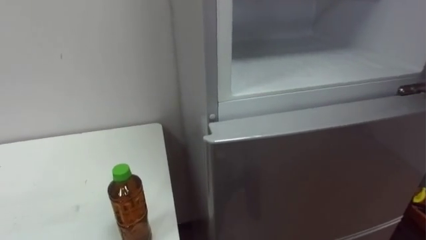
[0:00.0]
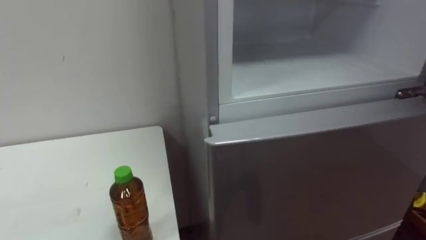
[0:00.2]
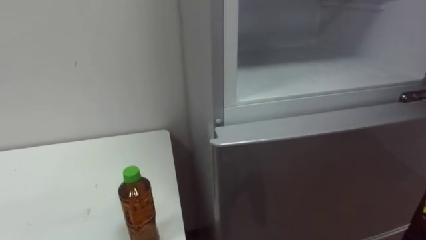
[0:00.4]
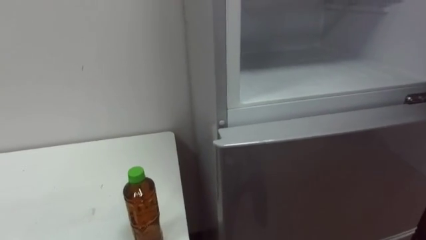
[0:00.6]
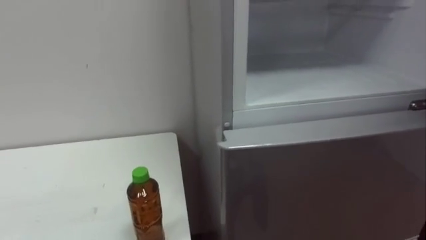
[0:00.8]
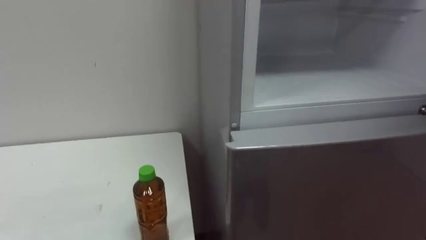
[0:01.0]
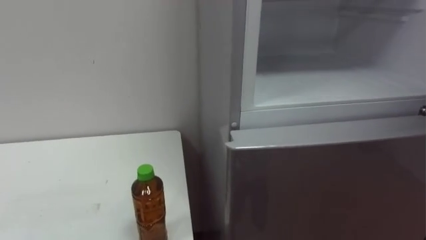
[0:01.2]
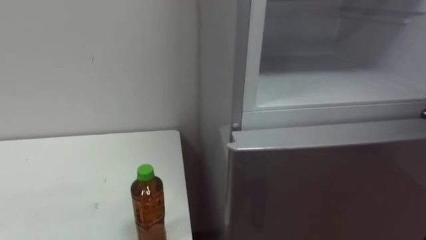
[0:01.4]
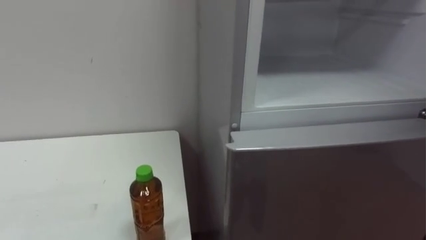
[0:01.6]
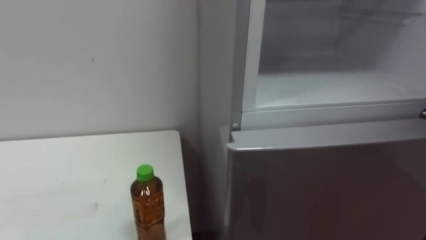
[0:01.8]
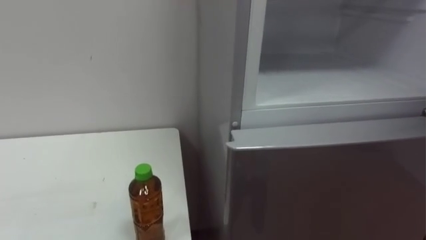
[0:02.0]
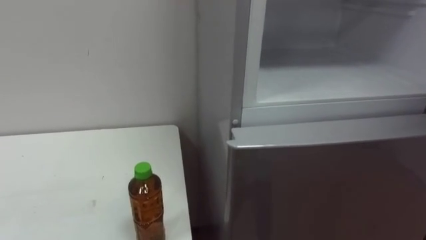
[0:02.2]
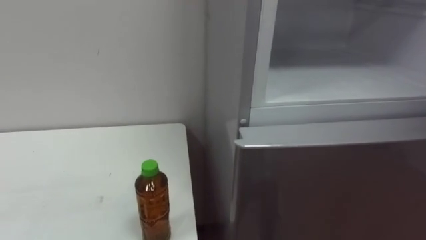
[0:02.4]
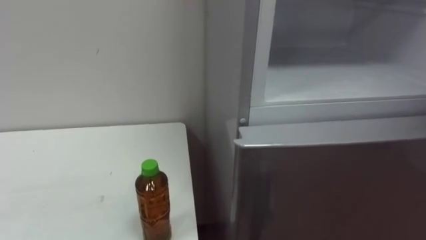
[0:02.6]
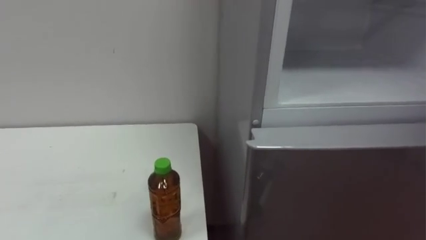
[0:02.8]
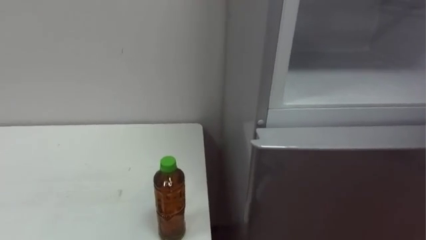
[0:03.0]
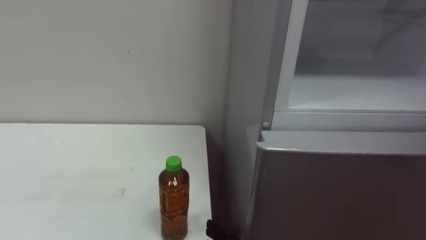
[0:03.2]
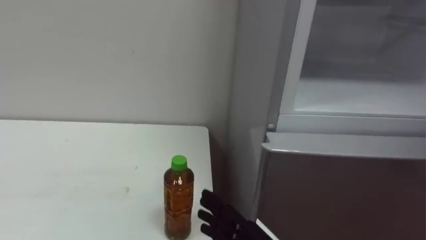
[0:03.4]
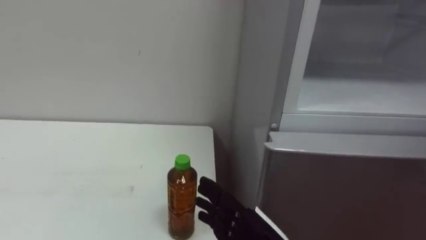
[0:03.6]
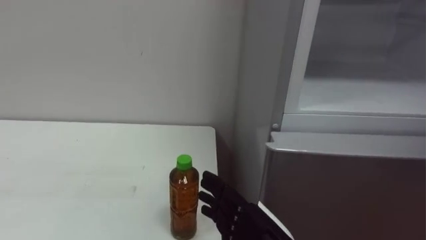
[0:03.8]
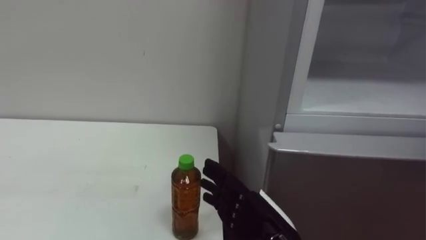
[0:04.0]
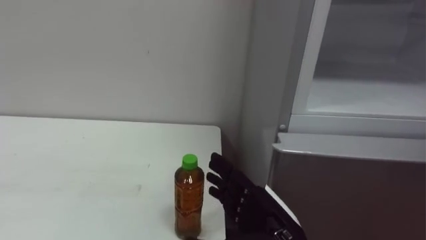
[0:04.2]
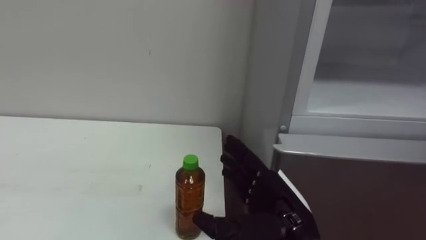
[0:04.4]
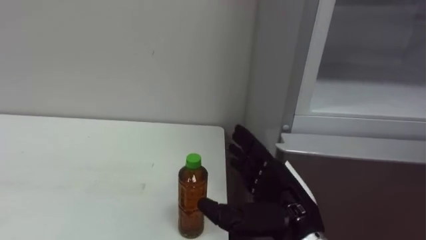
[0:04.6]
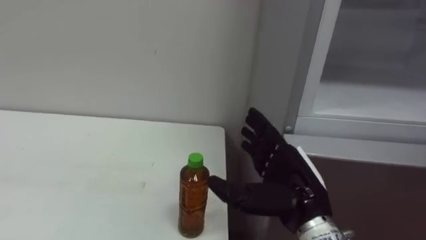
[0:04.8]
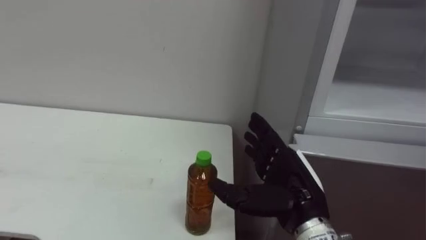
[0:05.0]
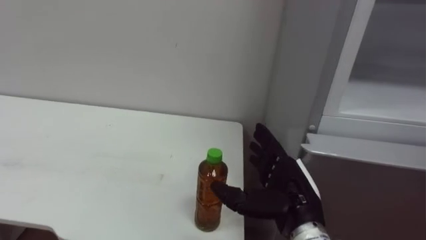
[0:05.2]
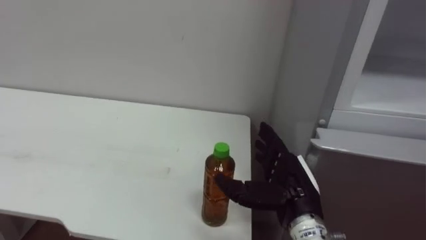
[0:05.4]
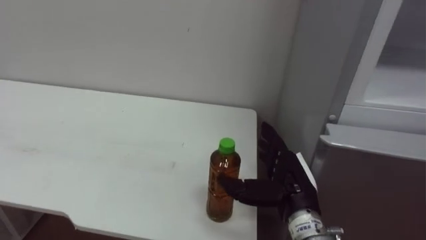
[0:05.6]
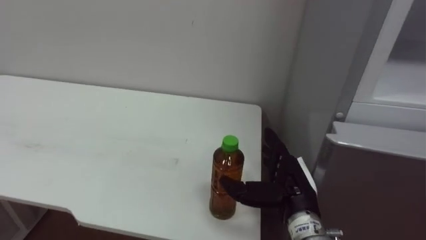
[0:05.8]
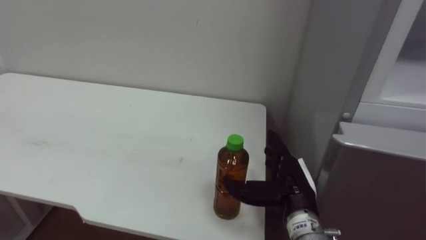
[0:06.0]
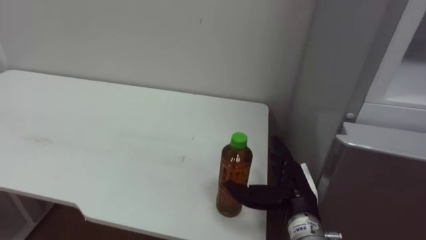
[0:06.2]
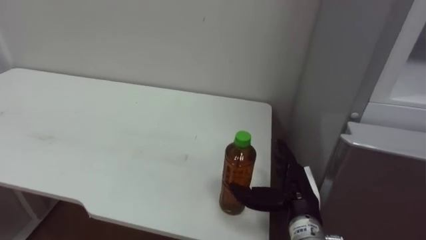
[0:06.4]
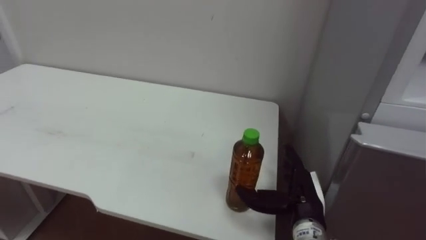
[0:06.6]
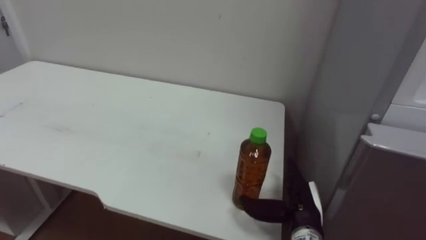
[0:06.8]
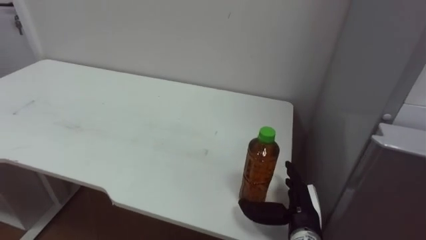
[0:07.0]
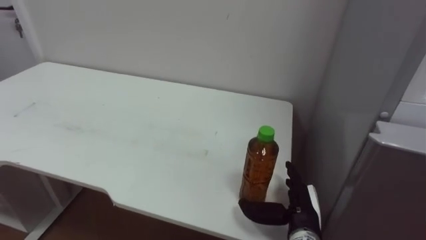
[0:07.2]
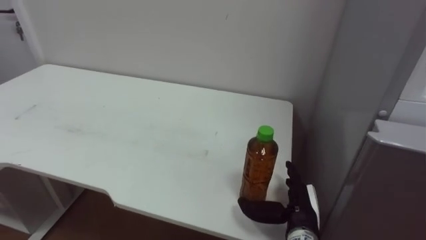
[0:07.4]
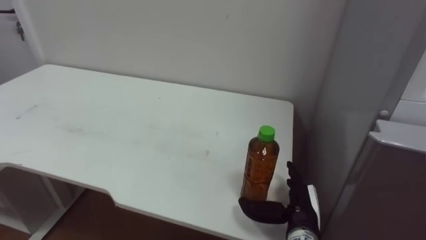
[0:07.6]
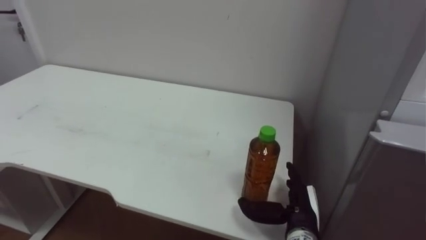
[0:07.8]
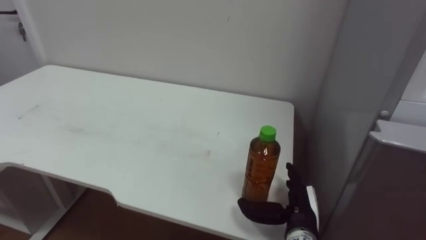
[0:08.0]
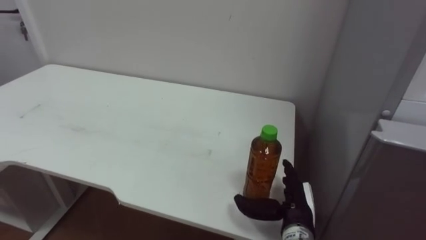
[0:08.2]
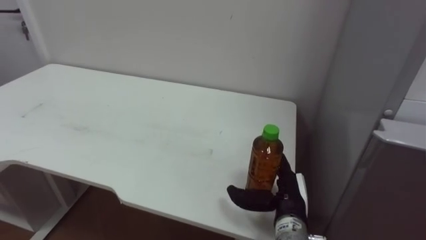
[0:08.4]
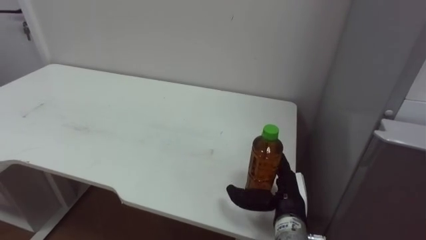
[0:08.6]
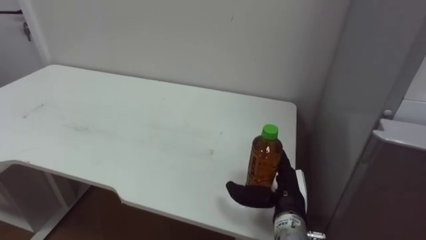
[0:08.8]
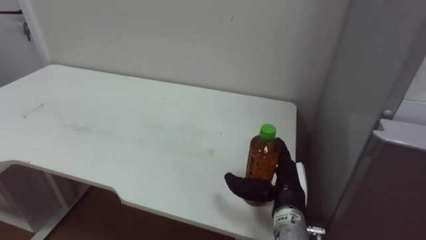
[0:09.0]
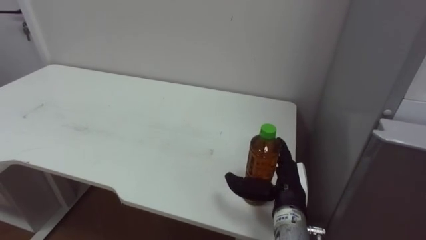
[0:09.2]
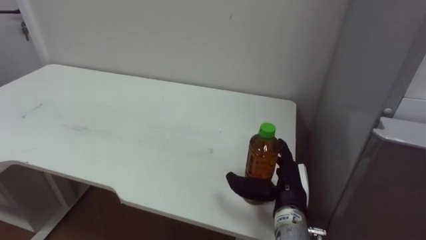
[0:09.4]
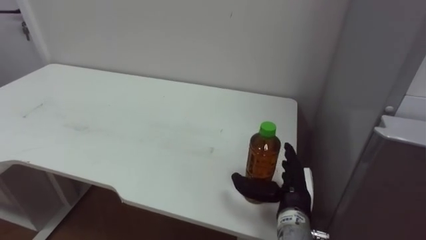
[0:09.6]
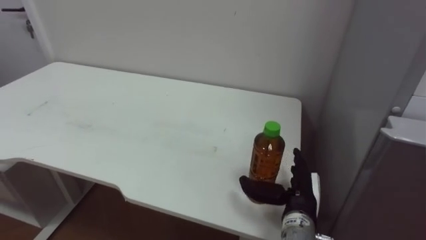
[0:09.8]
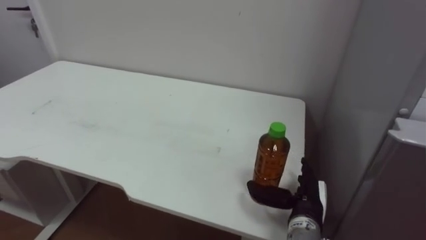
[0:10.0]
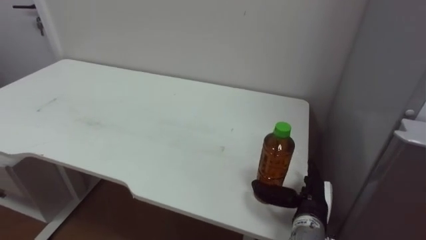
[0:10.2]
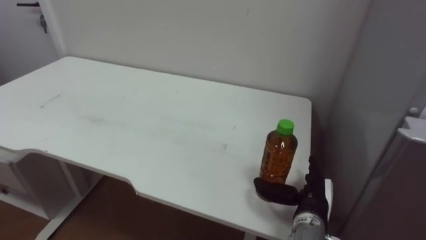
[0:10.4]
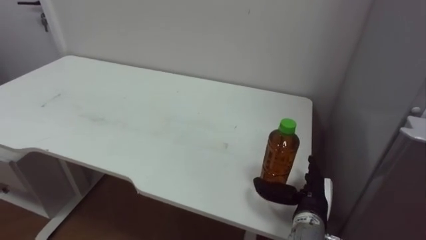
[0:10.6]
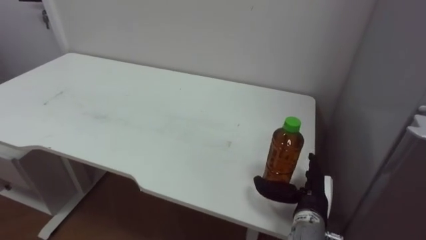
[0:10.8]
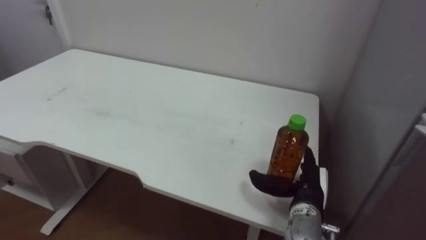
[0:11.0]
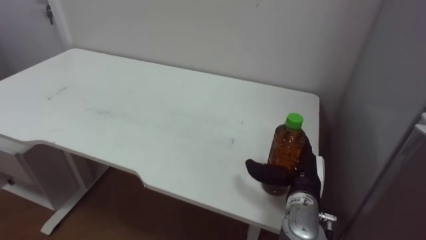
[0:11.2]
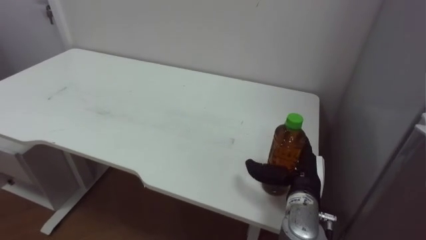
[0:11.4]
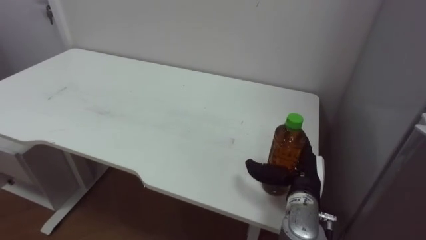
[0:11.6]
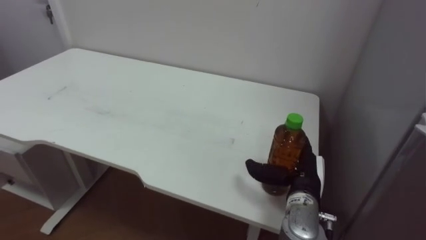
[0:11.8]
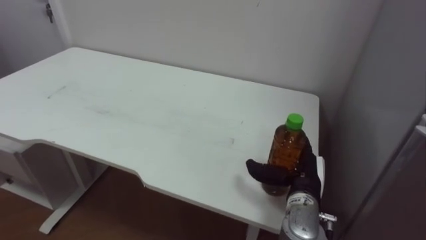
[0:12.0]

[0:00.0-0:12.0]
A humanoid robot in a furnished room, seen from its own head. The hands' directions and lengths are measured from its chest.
Task of the whole recording: Open the upper refrigerator door, put the drink from the table into the refrigerator, and then close the refrigerator door.
0:04.4 to 0:06.0: The right hand shifts roughly 5 cm forward.
0:06.0 to 0:07.6: The right hand travels downward by roughly 5 cm.
0:07.6 to 0:09.0: The right hand shifts by approximately 5 cm.
0:09.0 to 0:10.4: The right hand ends up some 5 cm from where it was.

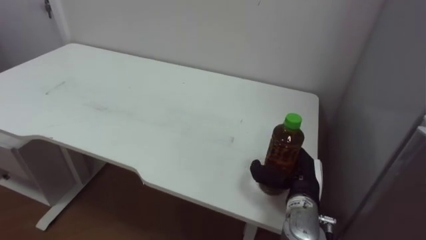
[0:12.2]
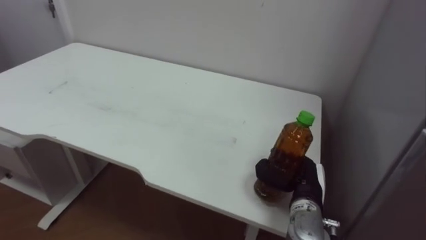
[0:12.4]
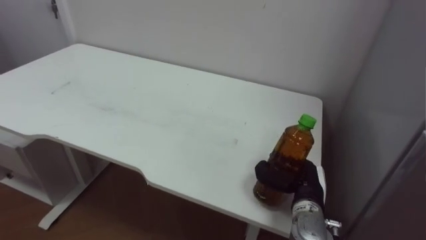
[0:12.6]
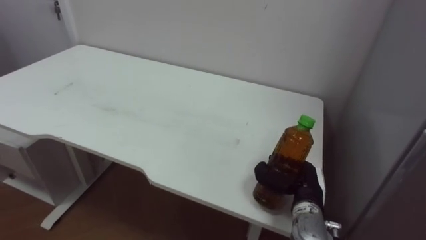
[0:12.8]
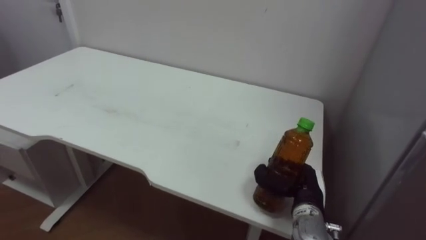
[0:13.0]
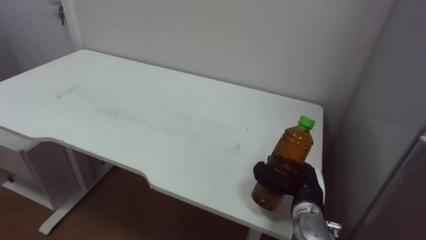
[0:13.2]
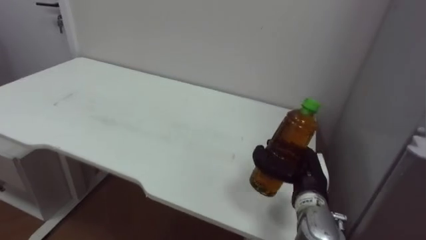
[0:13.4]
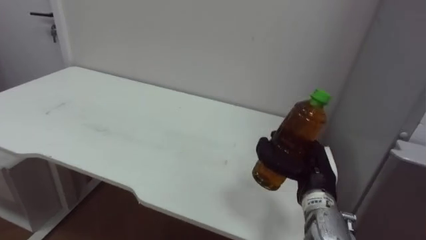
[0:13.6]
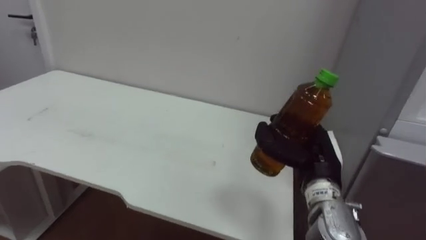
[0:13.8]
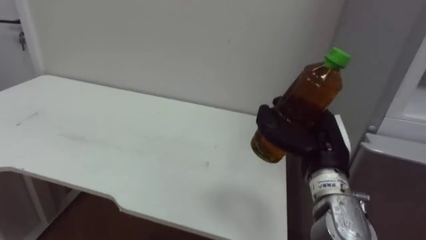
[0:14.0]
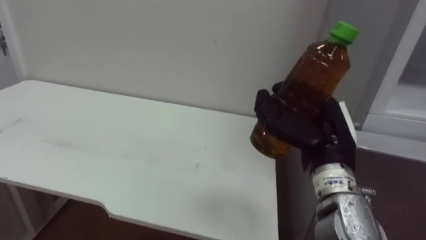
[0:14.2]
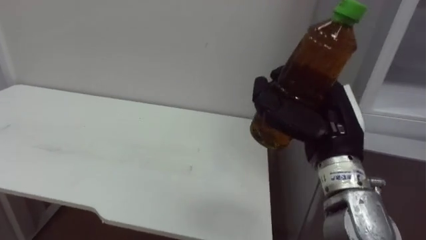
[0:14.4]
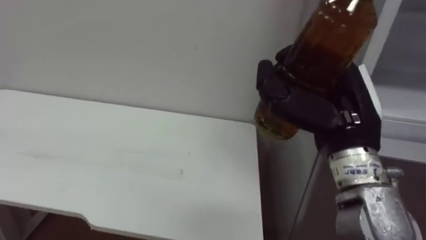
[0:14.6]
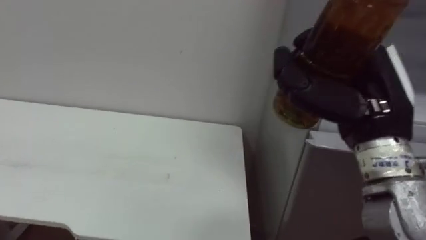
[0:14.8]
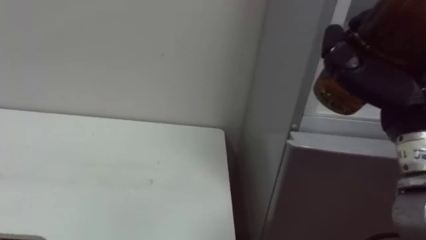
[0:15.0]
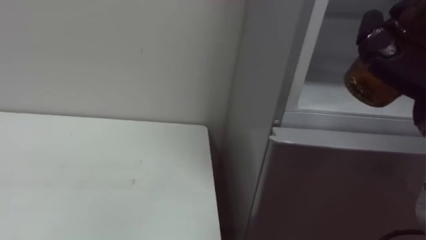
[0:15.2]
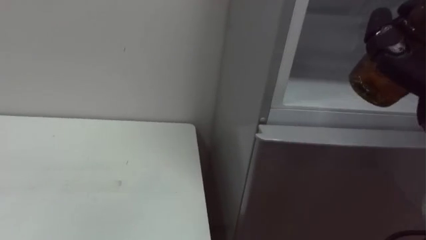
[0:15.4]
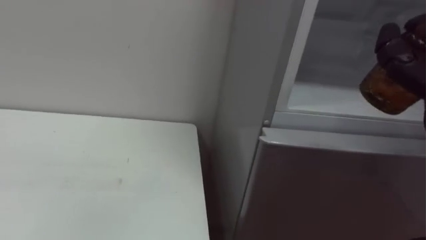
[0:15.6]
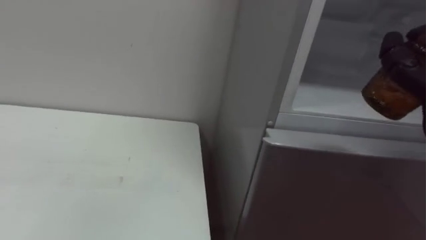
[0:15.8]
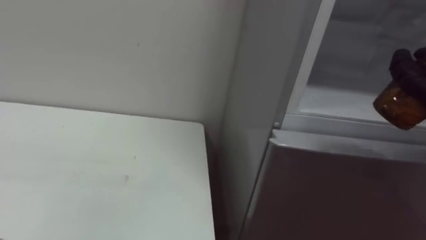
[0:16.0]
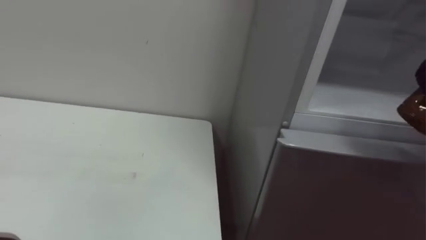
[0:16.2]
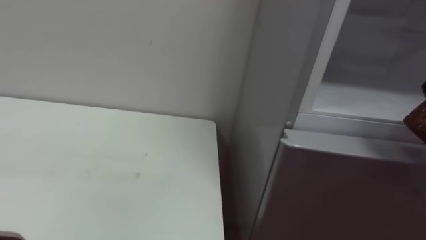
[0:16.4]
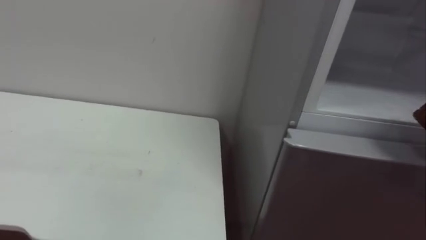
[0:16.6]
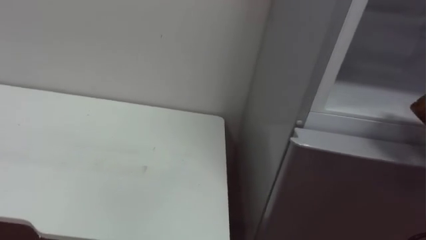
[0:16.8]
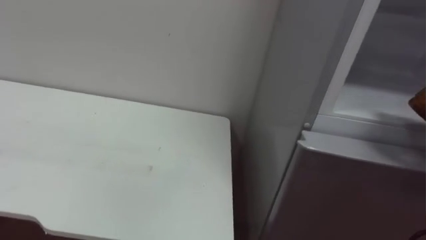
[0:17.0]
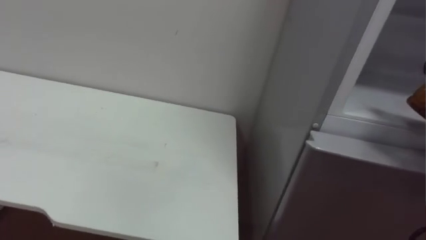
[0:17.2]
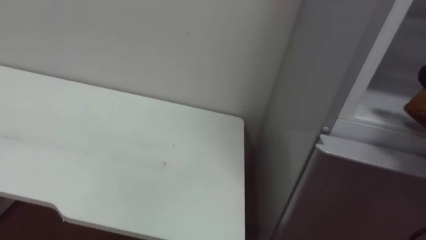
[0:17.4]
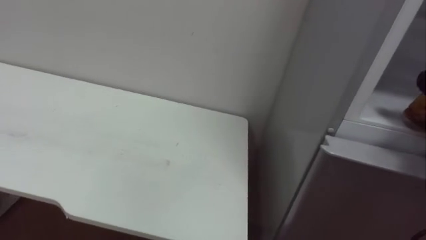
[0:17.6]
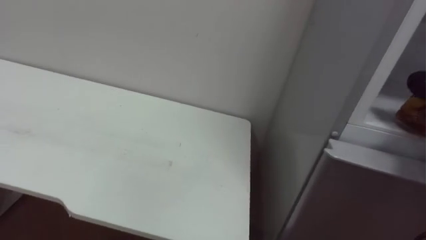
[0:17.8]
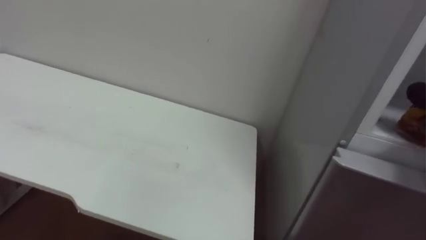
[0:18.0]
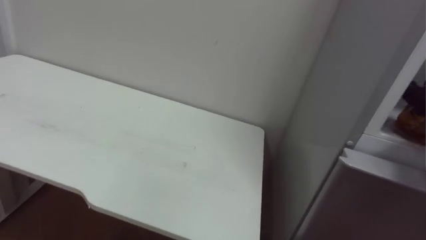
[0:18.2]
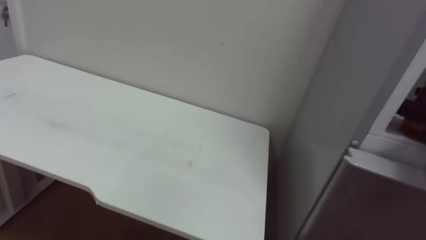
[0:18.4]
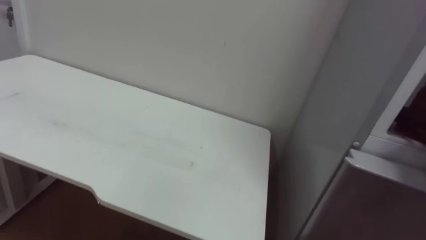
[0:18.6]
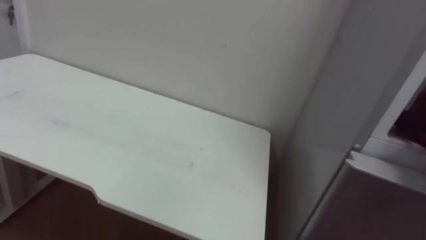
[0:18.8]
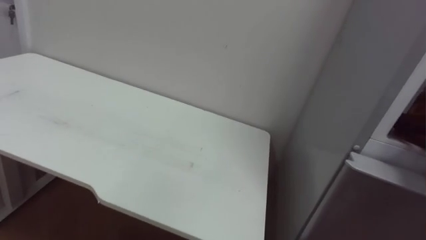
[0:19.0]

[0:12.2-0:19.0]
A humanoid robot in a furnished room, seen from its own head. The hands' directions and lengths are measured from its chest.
Task of the whole recording: Open the upper refrigerator door, put the drink from the table into the refrigerator, and then close the refrigerator door.
0:12.2 to 0:13.6: The right hand closes its fingers.
0:13.6 to 0:15.0: The right hand heads upward and backward, covering approximately 20 cm.
